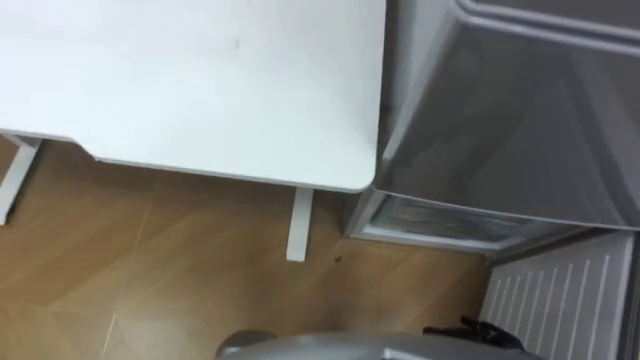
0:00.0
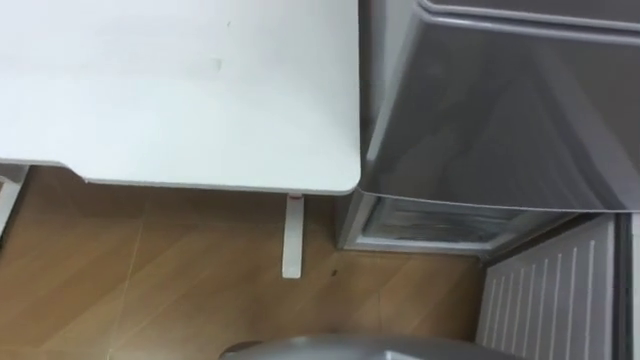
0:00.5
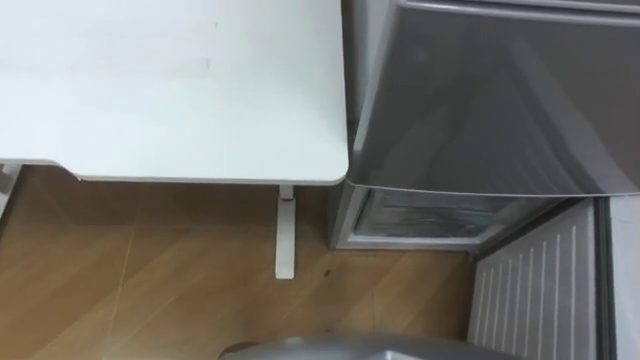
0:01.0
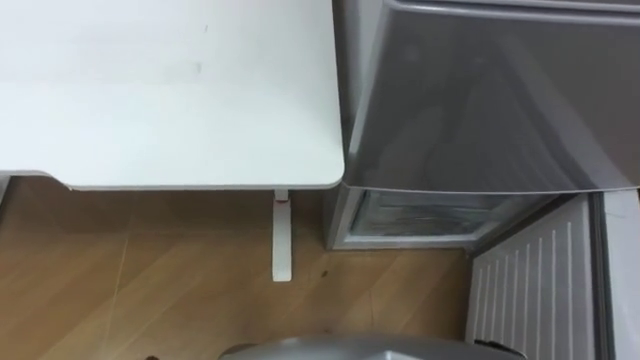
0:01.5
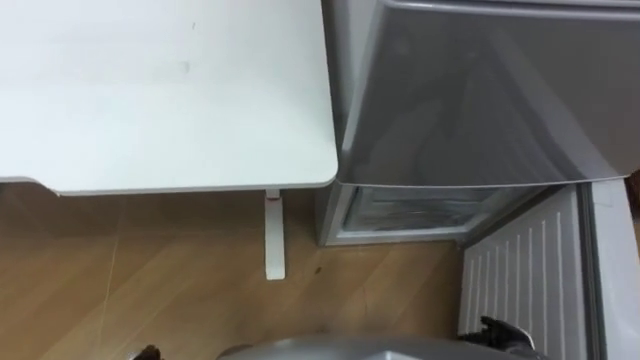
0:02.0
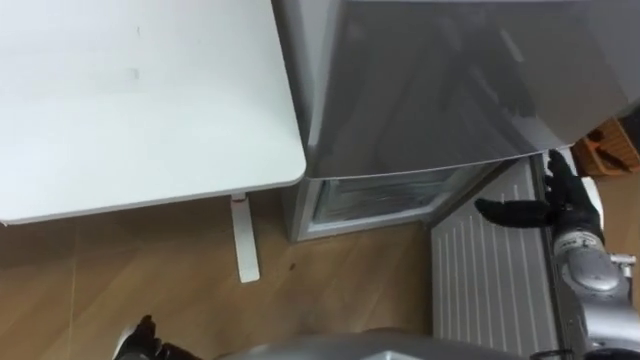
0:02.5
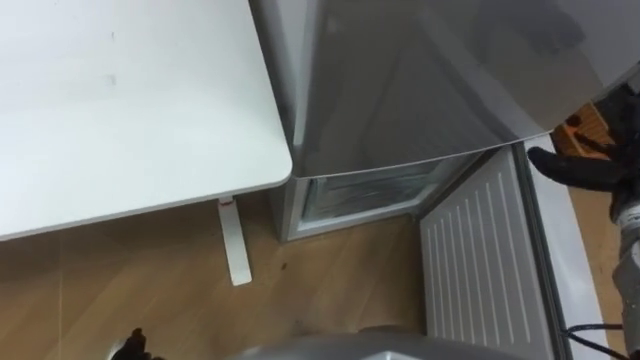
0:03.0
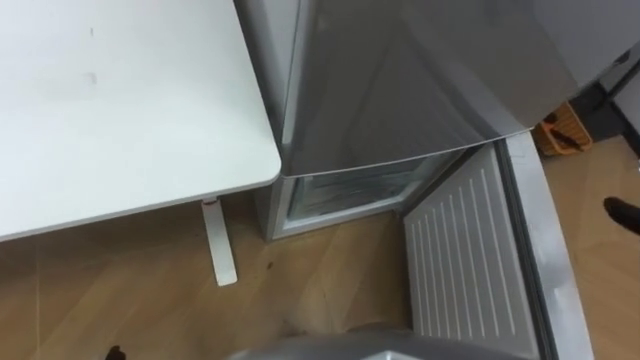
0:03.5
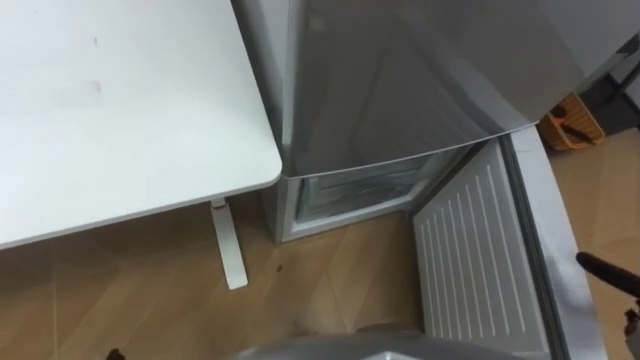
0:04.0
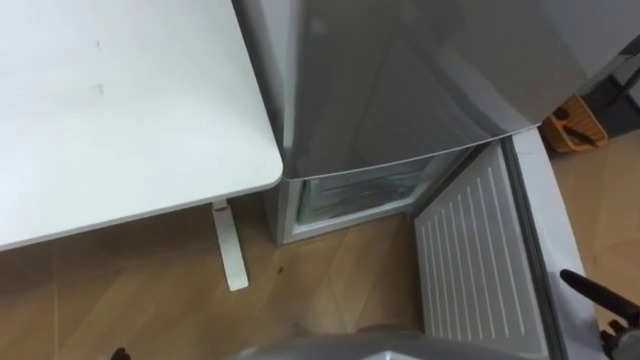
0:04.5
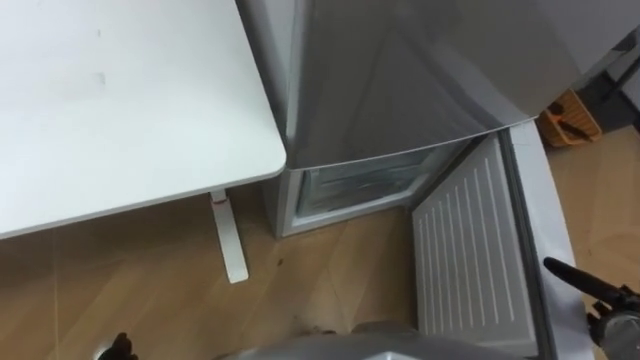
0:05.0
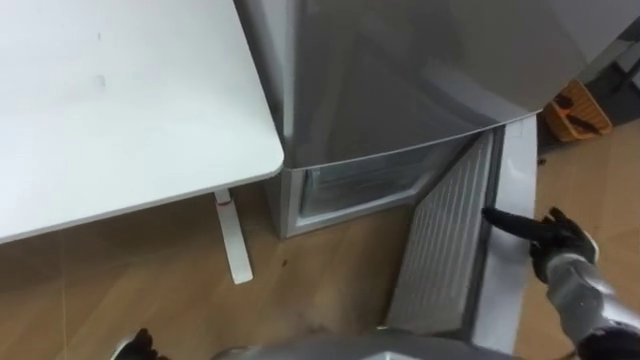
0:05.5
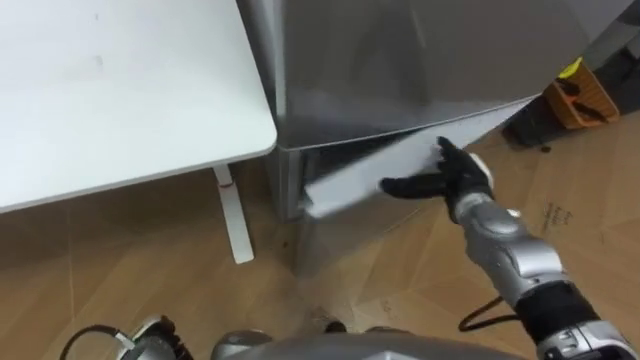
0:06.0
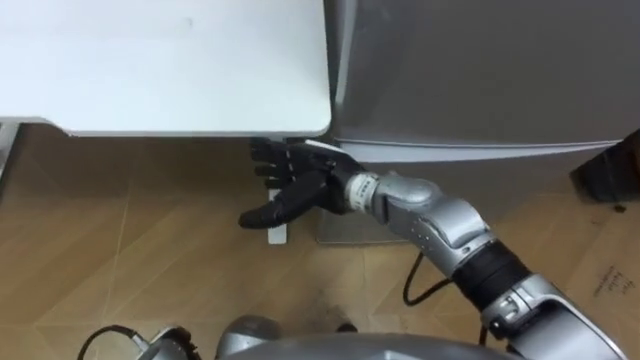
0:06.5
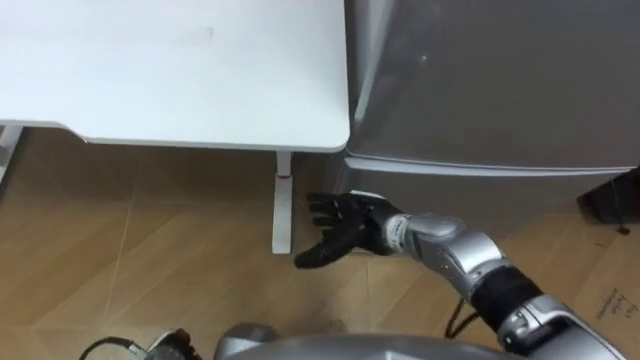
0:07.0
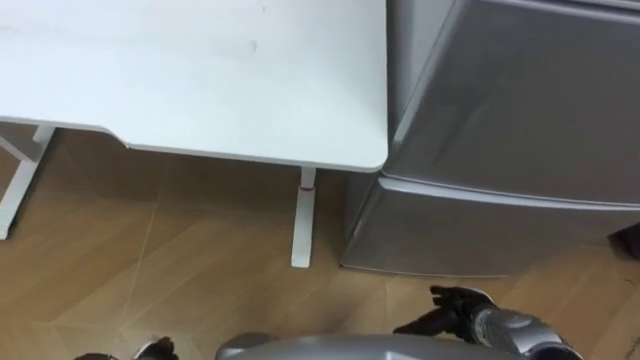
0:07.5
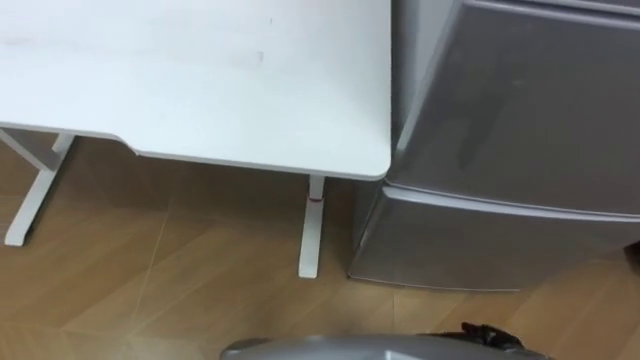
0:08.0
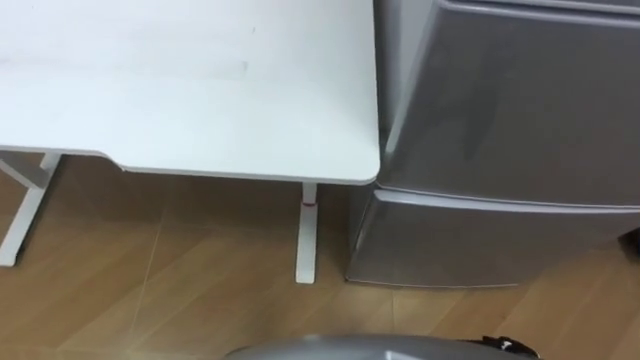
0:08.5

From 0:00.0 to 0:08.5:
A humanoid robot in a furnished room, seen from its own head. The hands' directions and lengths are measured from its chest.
Task of the whole recording: Place the drink on the table on the bottom shelf of the refrigerator, then close the drawer and the refrigerator door.
From 0:04.0 to 0:06.5: The right hand travels to the left by about 50 cm.

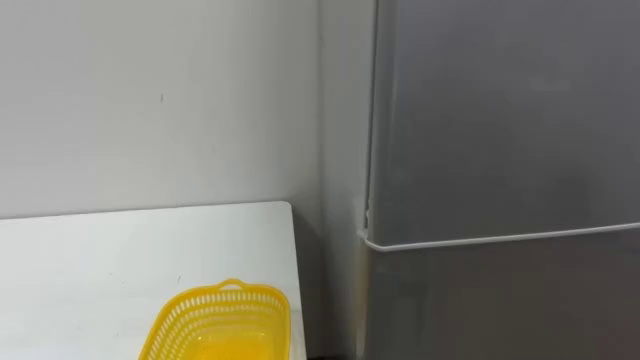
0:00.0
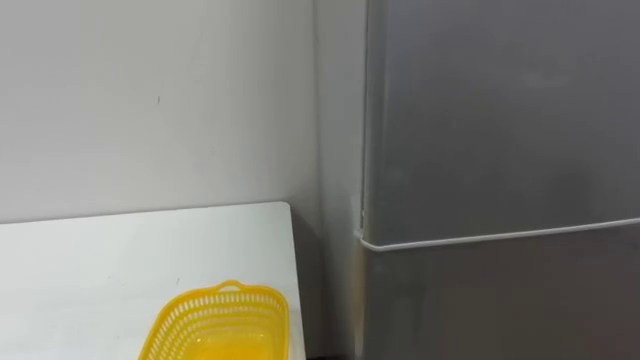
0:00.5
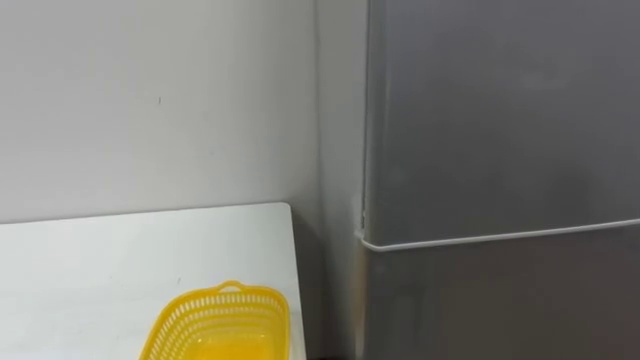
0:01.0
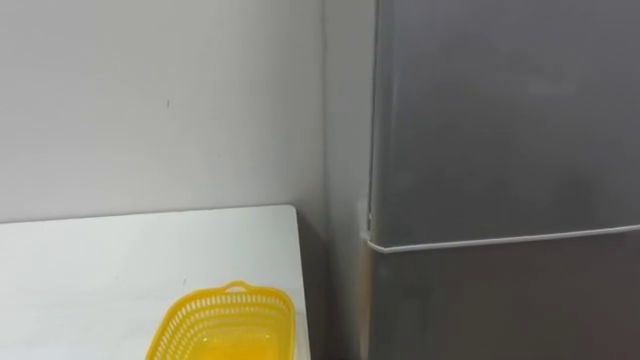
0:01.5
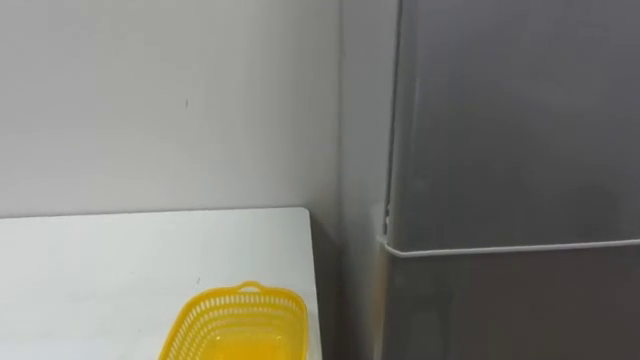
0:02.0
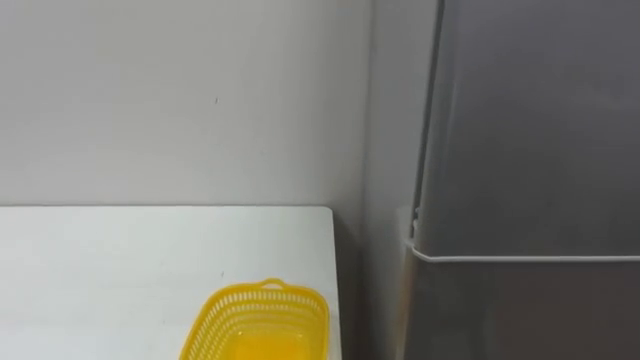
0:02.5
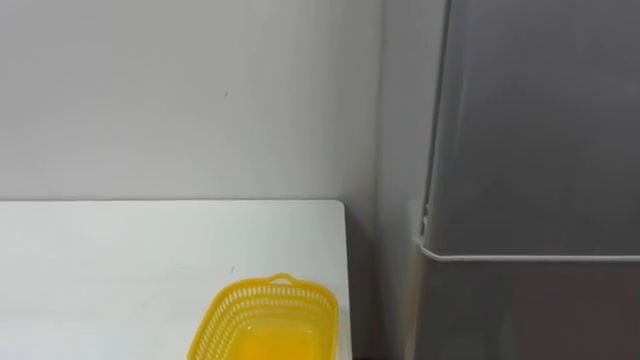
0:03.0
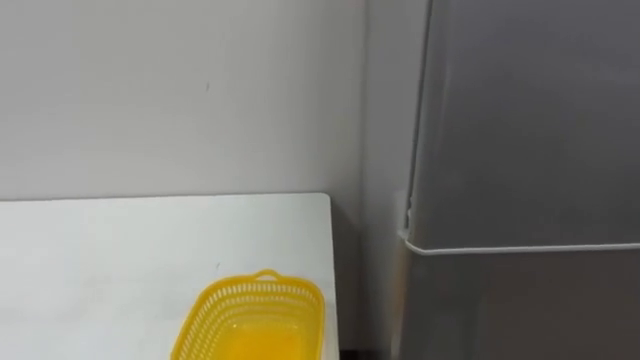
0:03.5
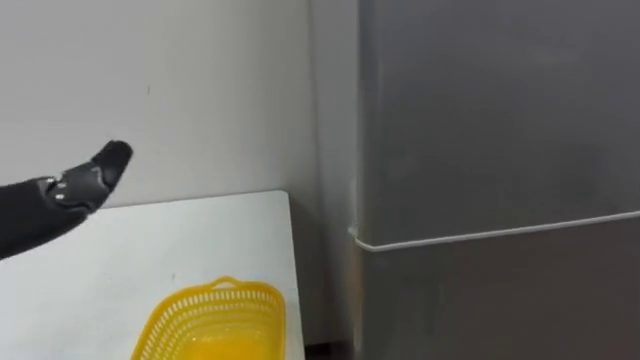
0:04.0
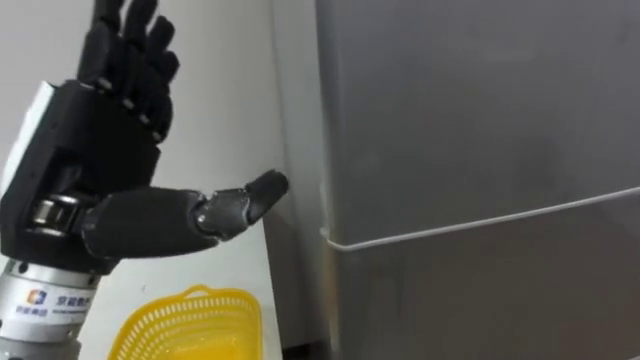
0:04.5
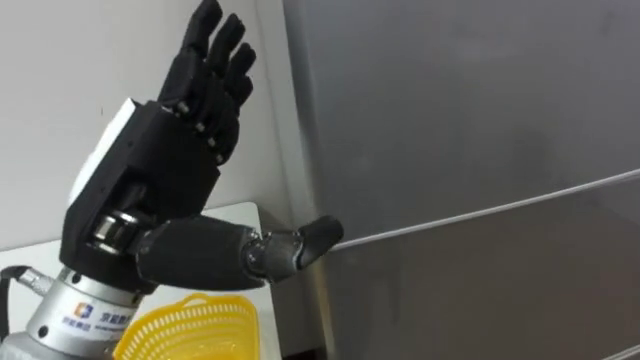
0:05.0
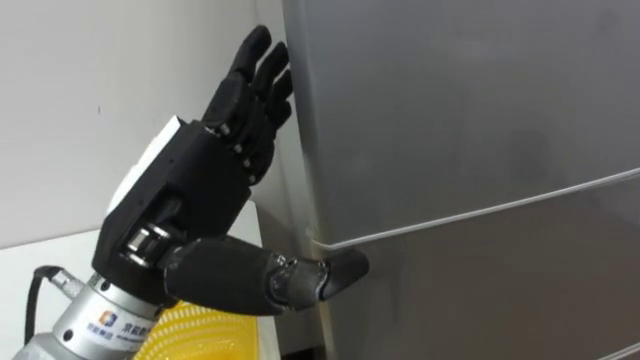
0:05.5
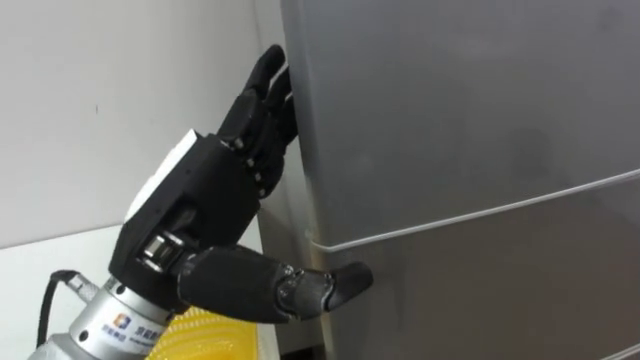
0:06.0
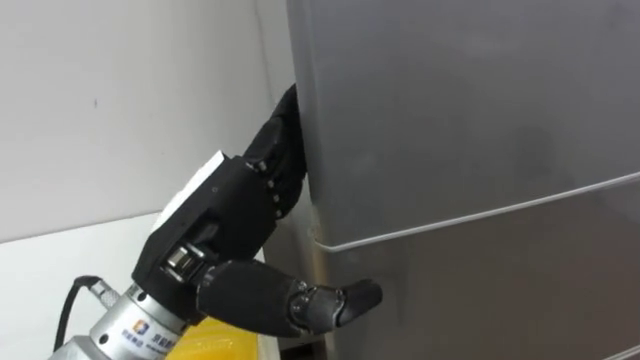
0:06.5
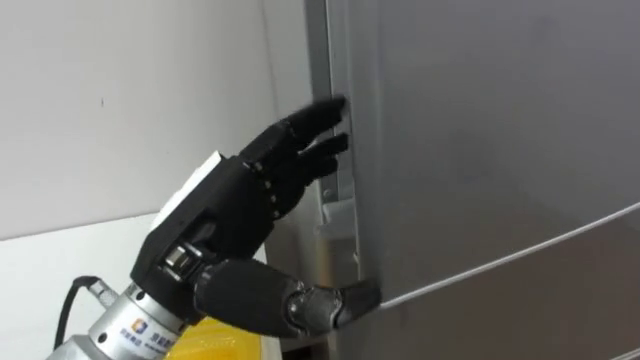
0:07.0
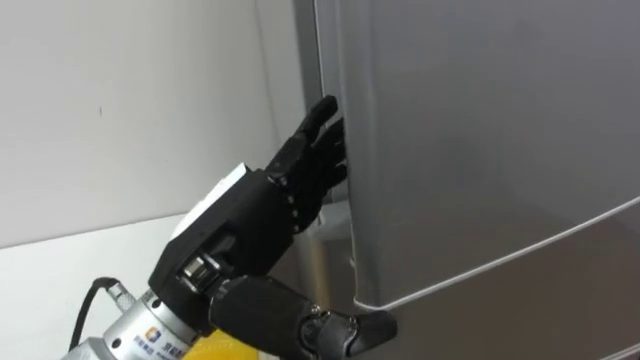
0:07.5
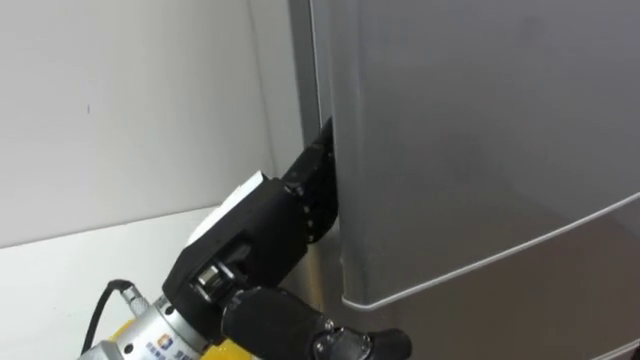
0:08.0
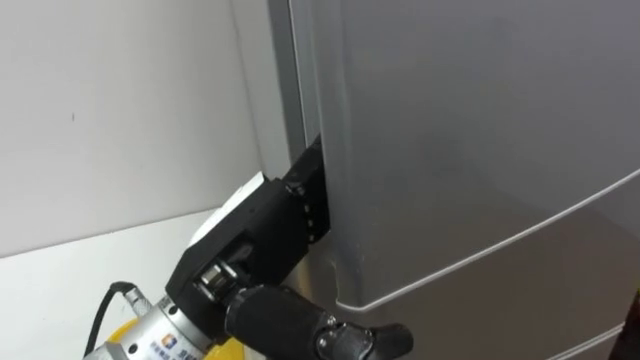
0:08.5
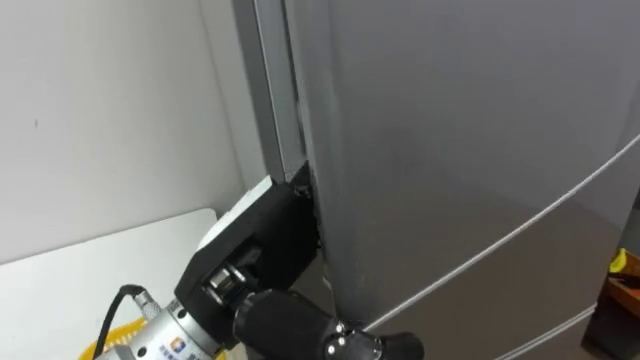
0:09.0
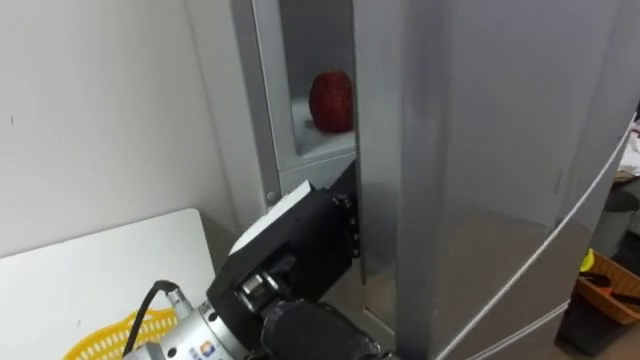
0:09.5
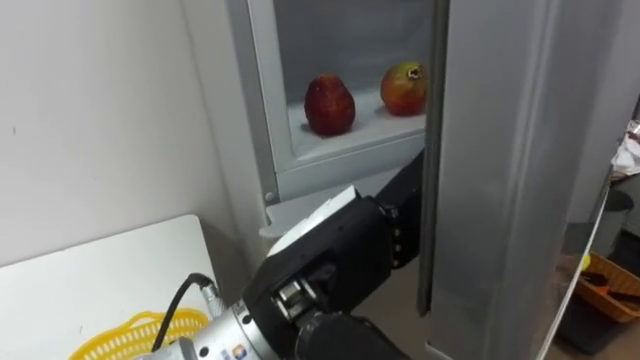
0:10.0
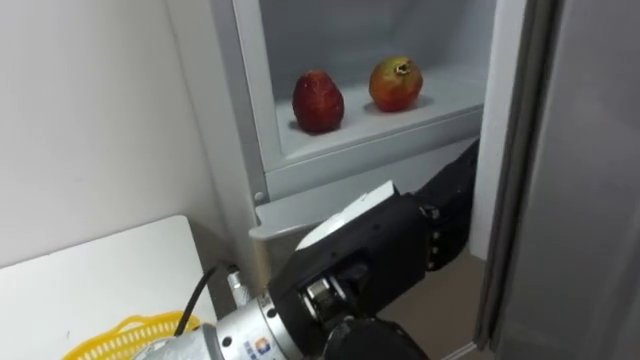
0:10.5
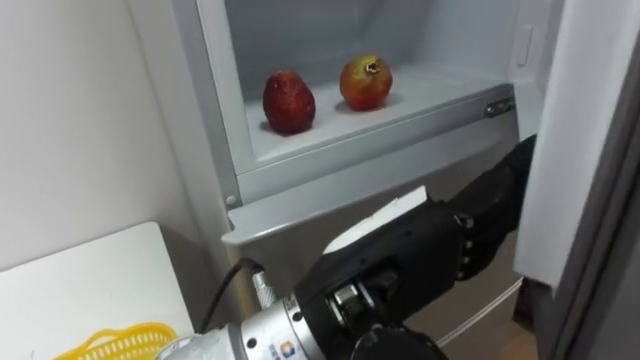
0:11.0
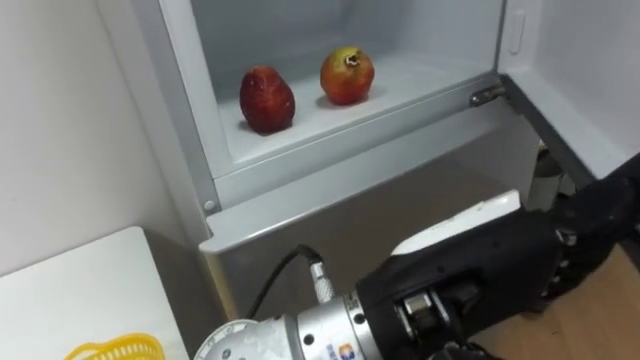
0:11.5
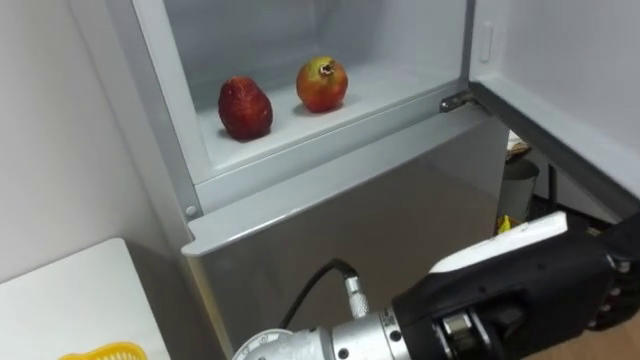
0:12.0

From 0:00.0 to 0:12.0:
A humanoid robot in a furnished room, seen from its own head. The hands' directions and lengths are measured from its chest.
Task of the whole recording: Open the refrigerator door, take out the apple and the pomegranate, place them in the fruit basket on the left, and close the refrigerator door.
From 0:08.0 to 0:10.0: The left hand goes approximately 5 cm to the right.
From 0:10.0 to 0:12.0: The left hand goes roughly 10 cm to the right and backward.
